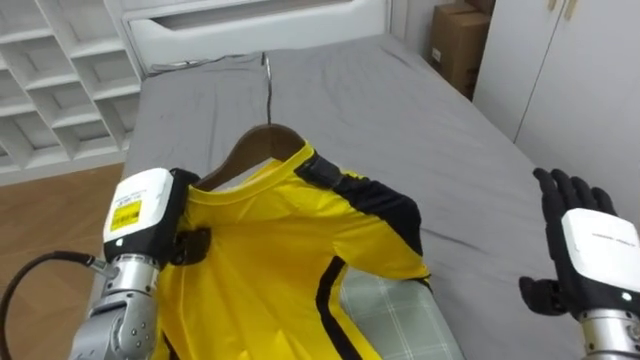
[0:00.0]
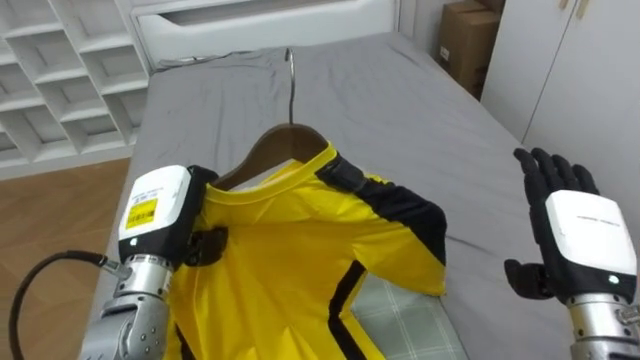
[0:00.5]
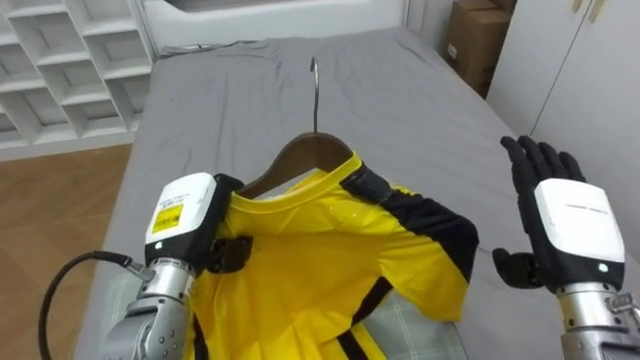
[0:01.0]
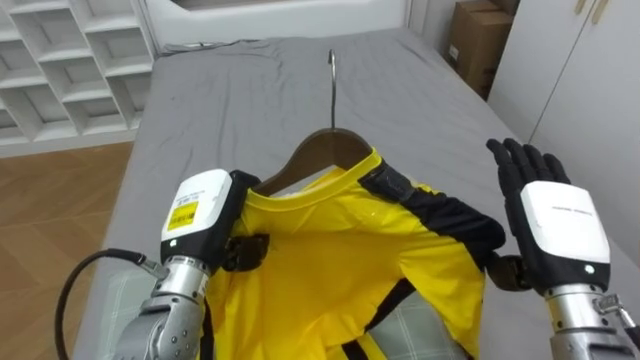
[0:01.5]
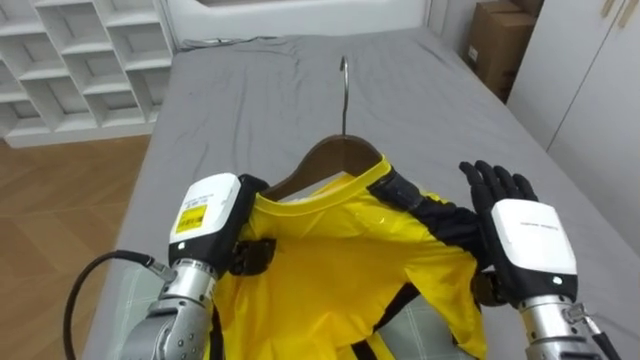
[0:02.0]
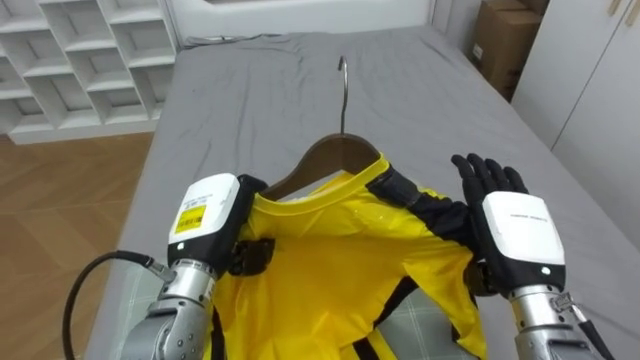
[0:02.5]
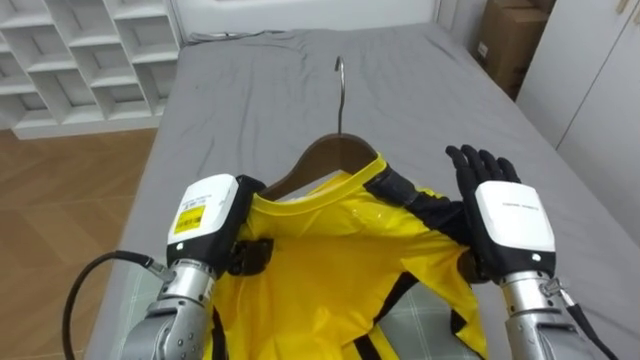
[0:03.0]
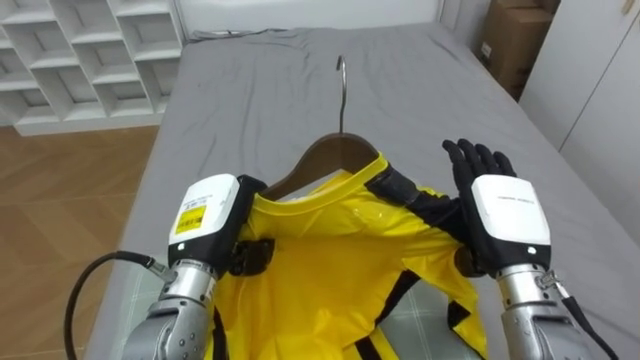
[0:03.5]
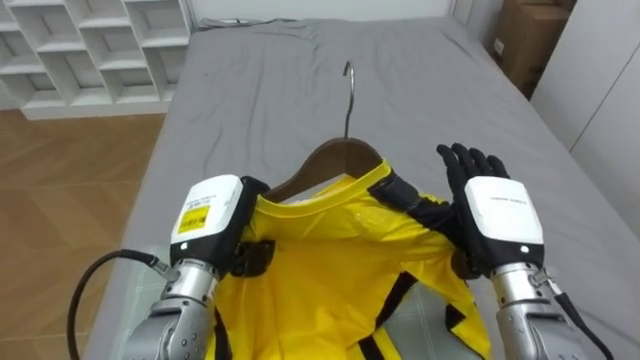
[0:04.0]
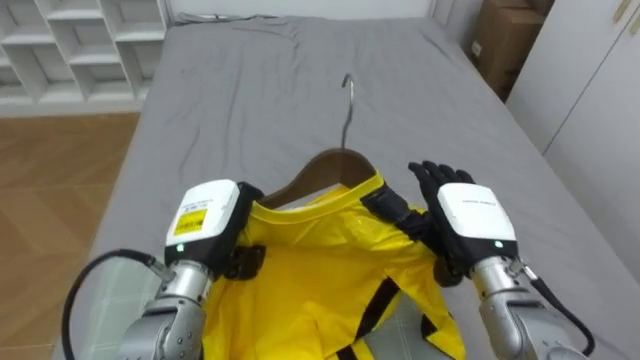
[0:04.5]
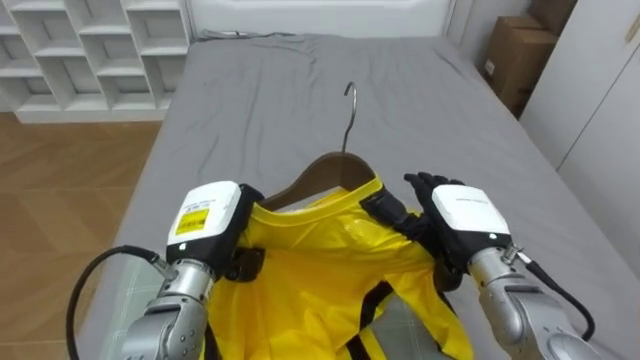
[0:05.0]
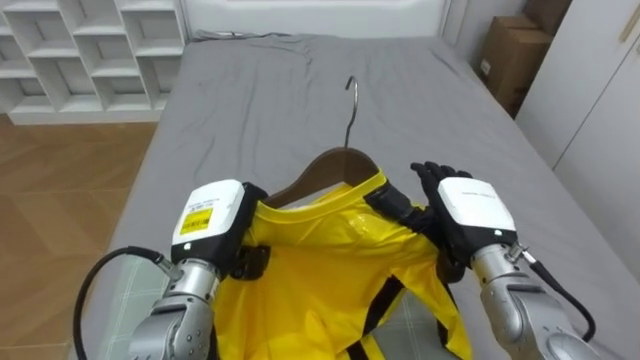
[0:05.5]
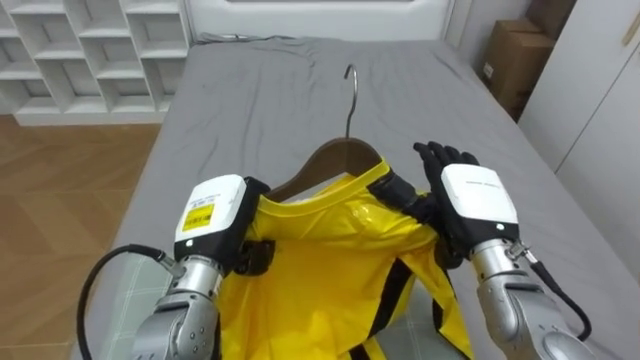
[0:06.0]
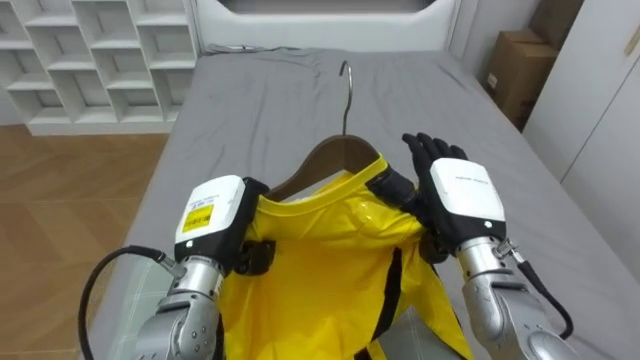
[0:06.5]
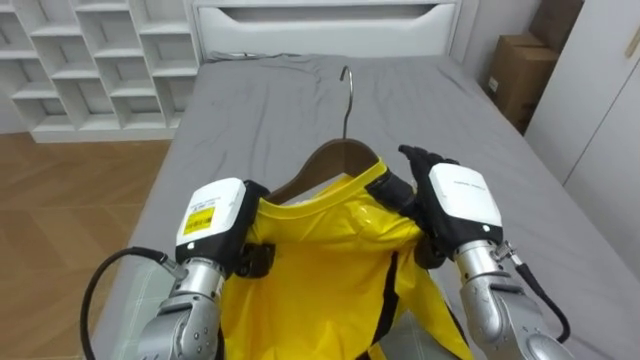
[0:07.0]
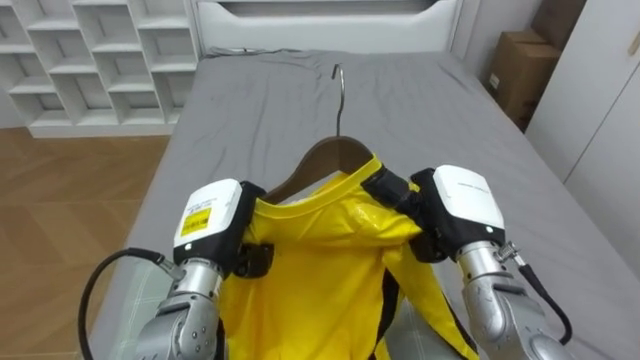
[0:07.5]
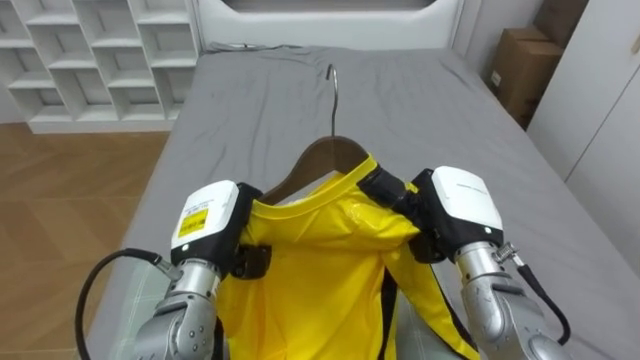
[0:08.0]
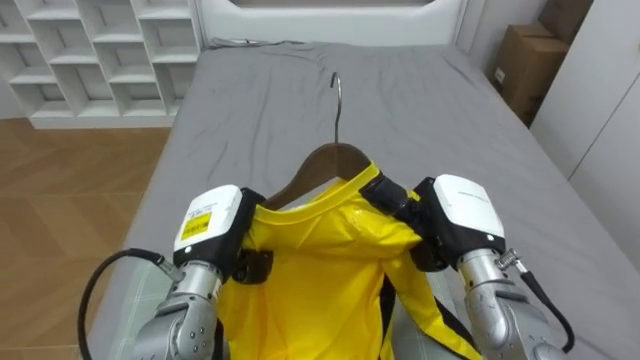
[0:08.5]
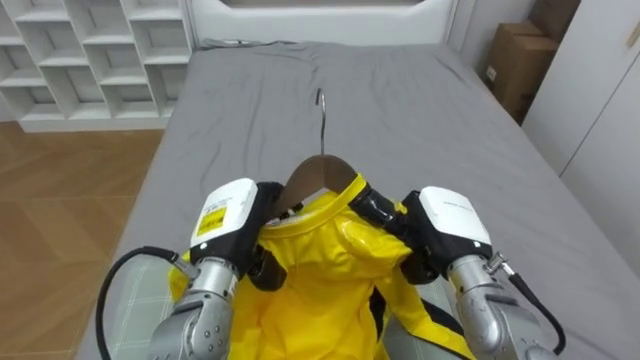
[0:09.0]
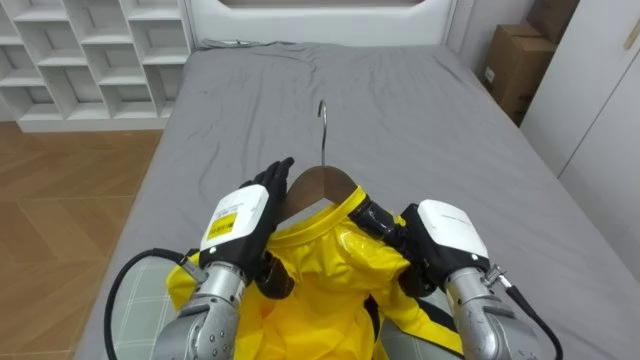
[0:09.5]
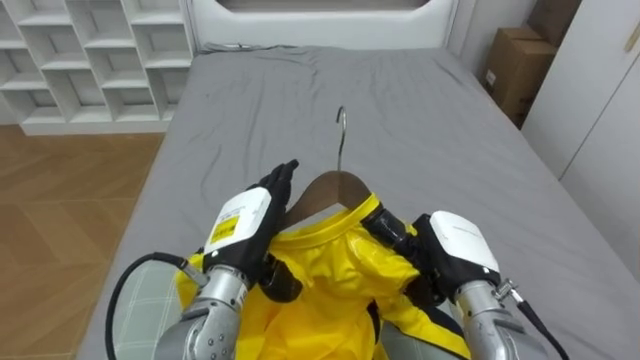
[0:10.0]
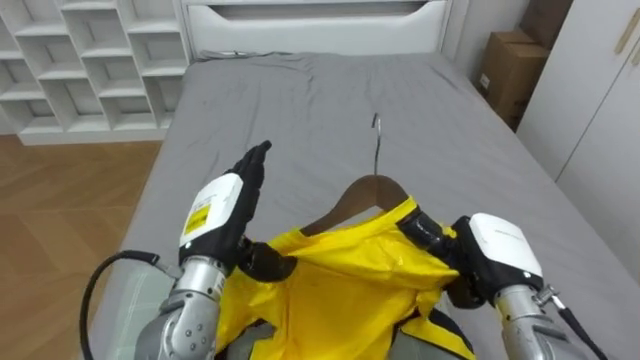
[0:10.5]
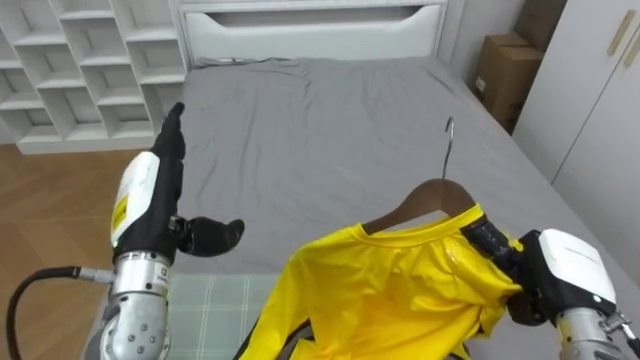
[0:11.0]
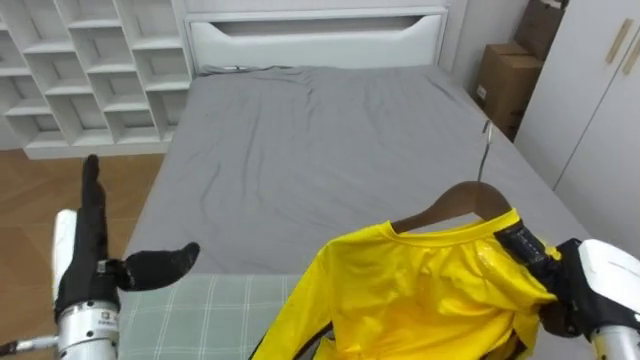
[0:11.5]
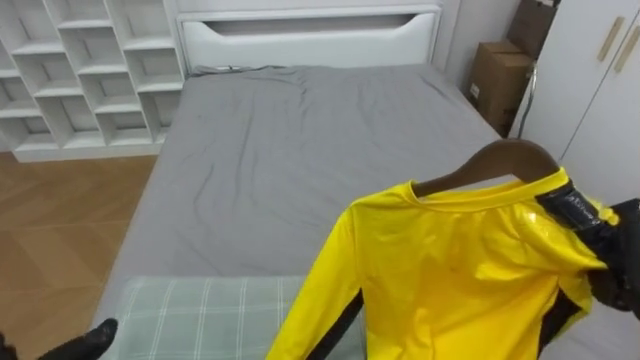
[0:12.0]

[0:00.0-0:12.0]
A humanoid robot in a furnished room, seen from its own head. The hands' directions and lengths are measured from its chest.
Task of the whole recording: Pick up the yellow shirt on the bed and hang it on the clothes rack on the right.
0.0 to 2.0 s: The right hand shifts about 5 cm to the left. The left hand travels to the right by about 10 cm.
6.0 to 8.0 s: The right hand closes its fingers.
8.0 to 10.0 s: The right hand changes place by roughly 5 cm. Meanwhile the left hand opens up.
10.0 to 12.0 s: The right hand is displaced to the right by approximately 20 cm.

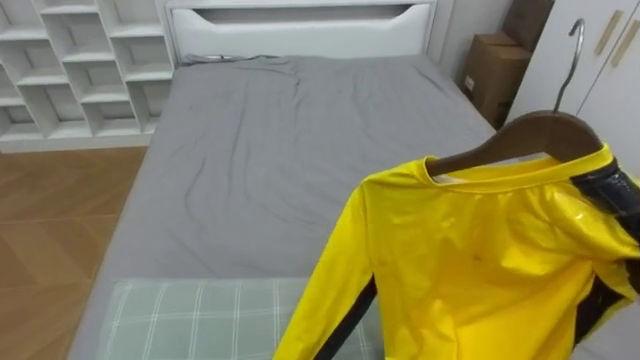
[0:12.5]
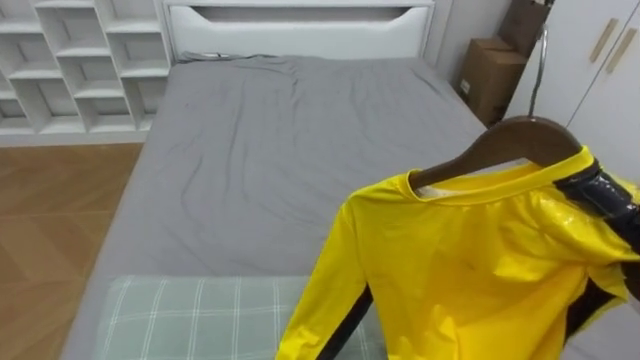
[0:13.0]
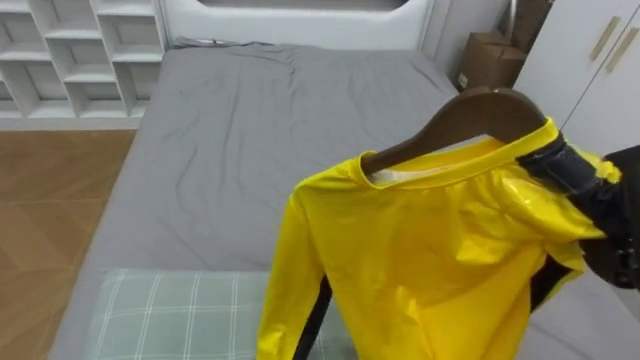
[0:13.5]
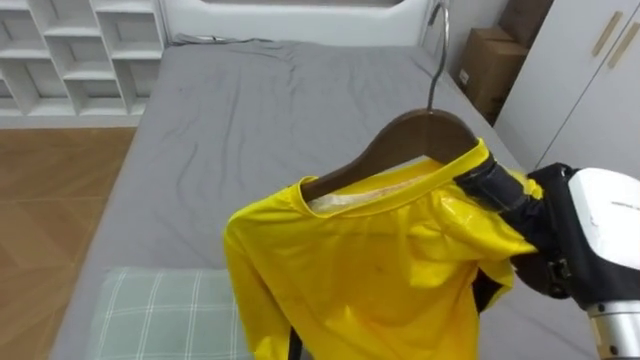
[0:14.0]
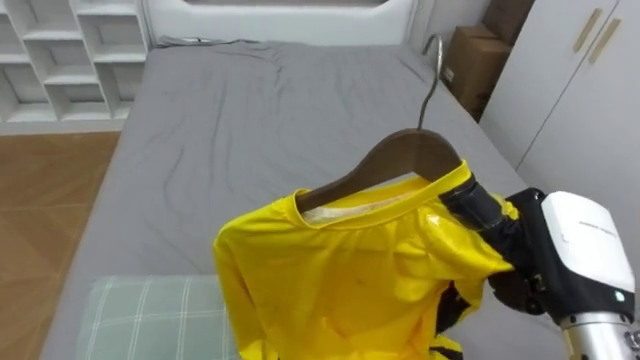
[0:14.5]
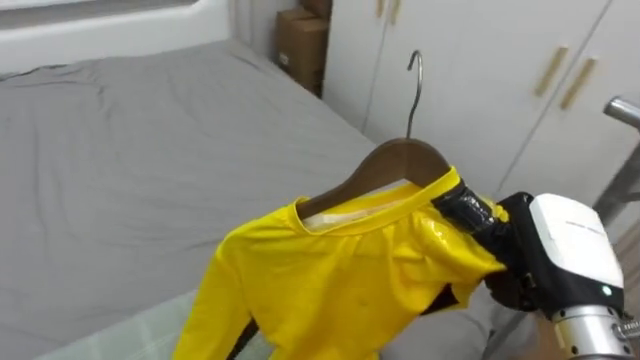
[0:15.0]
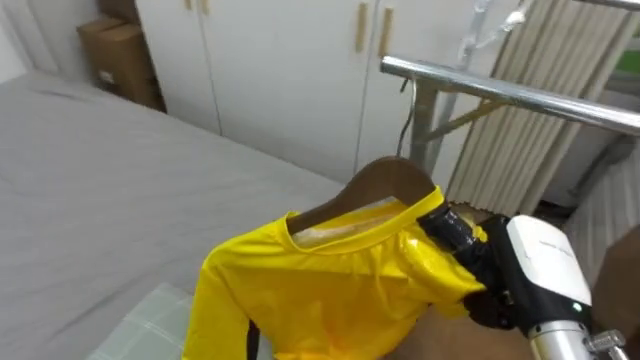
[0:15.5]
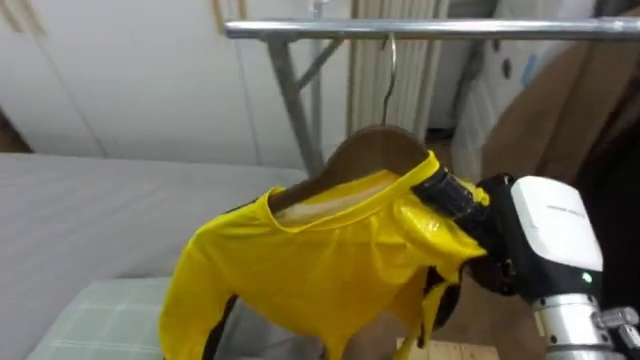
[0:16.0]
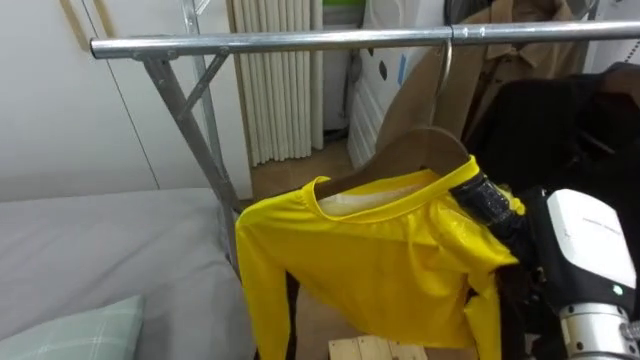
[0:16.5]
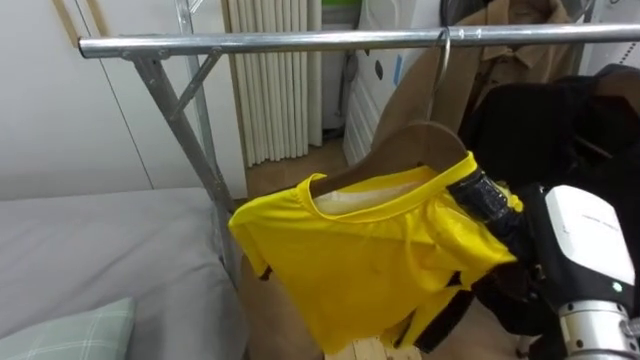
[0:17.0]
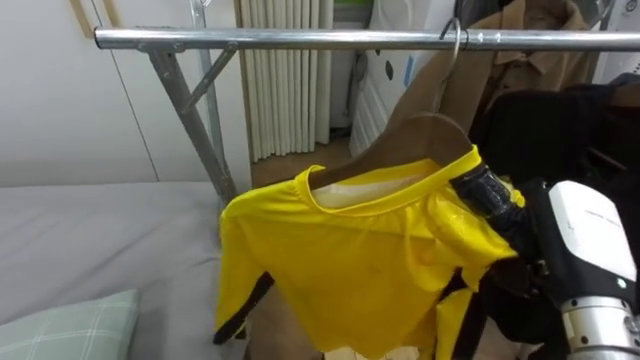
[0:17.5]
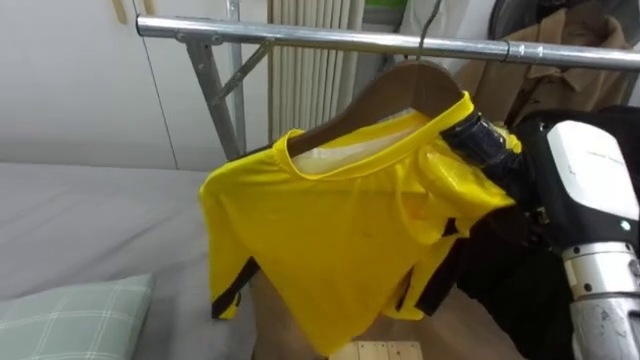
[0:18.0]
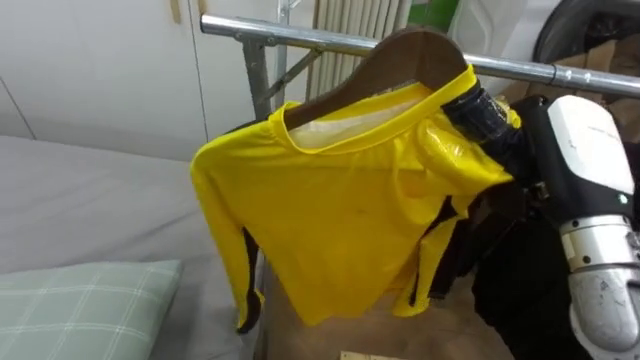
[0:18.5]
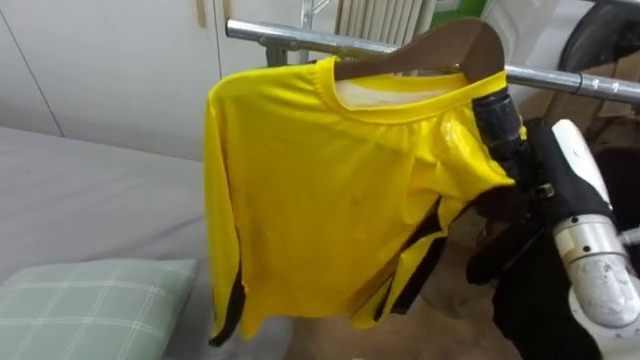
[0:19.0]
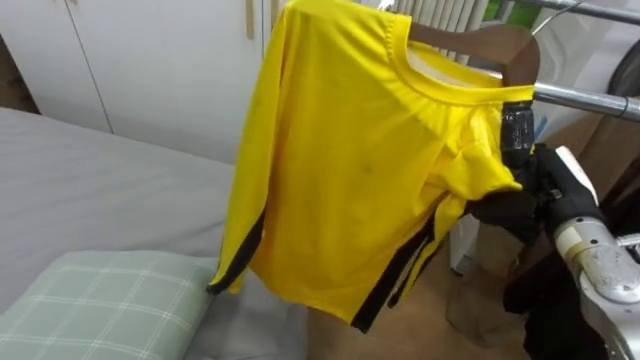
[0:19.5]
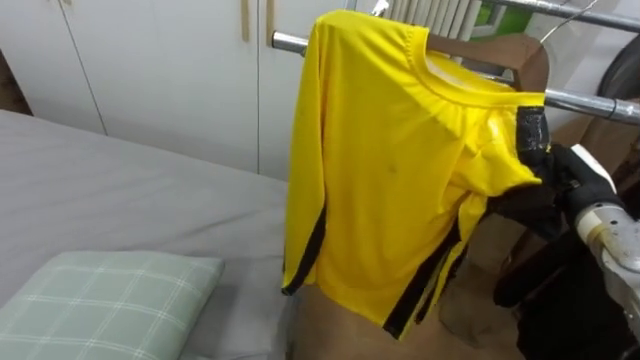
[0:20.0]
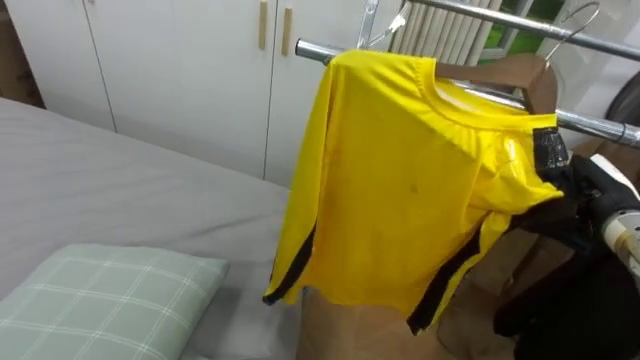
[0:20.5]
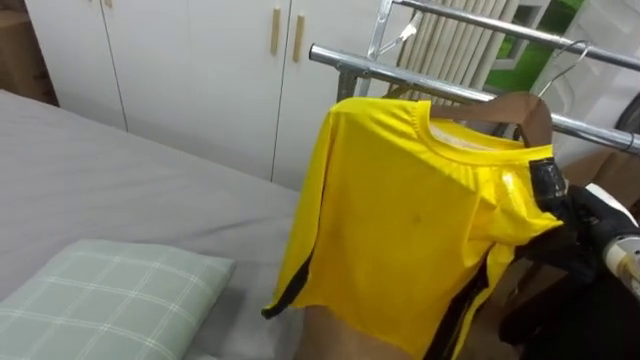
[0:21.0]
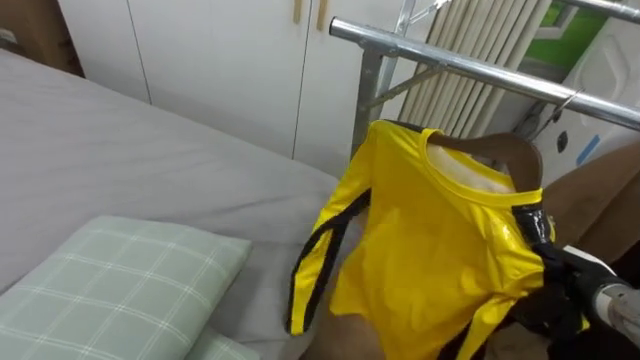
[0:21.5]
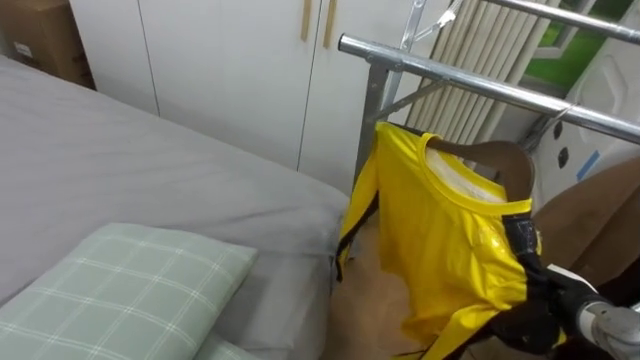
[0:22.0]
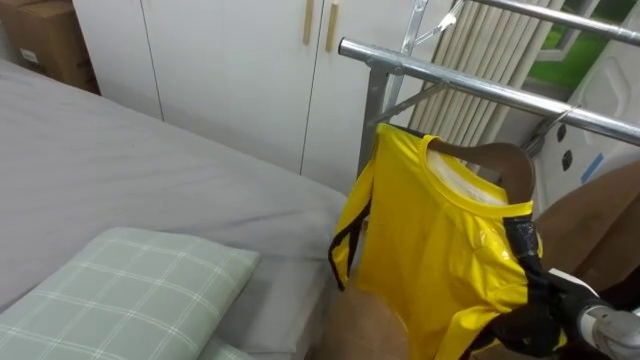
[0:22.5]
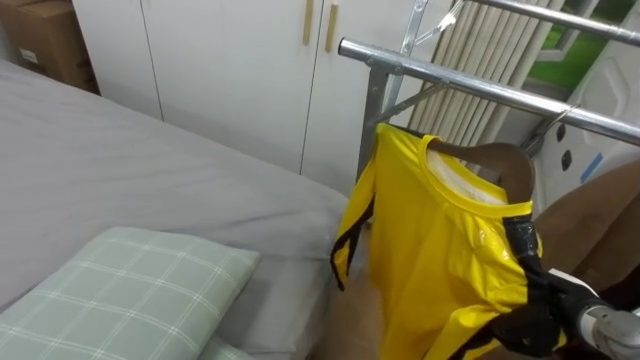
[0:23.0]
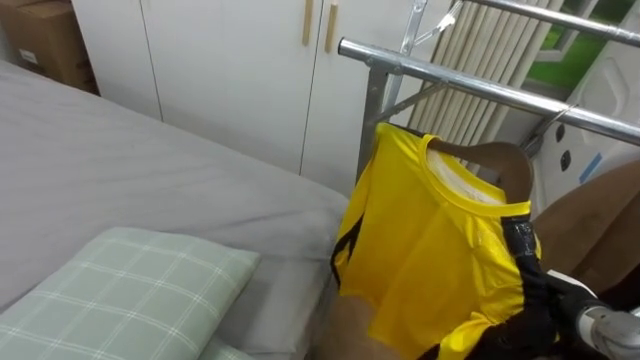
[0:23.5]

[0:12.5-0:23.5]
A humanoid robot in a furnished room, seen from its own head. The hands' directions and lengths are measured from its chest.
Task of the whole recording: Pick up the yellow shirt on the bed and hang it on the clothes rack on the right.
14.5 to 16.0 s: The robot turns to its right by approximately 75 degrees.
16.0 to 18.0 s: The right hand moves about 5 cm.
18.0 to 20.0 s: The right hand is displaced downward, forward and to the right by approximately 15 cm.
20.0 to 21.5 s: The right hand is displaced downward and backward by roughly 15 cm.
